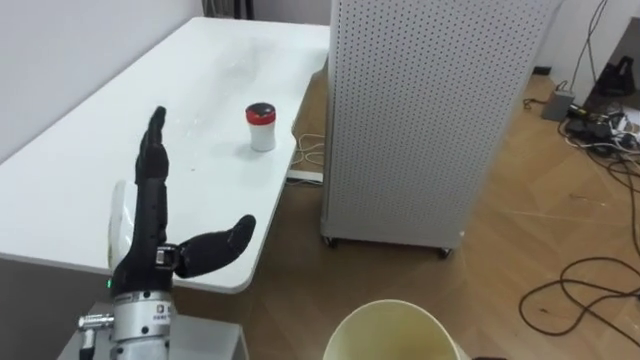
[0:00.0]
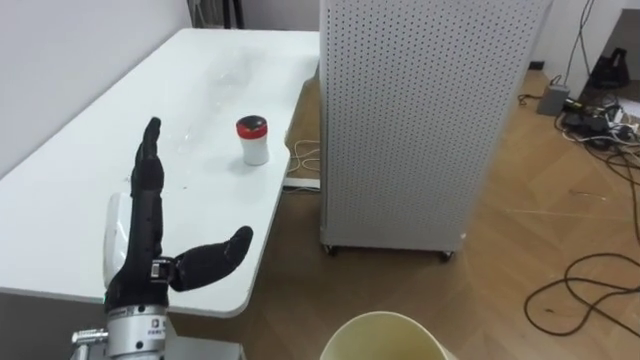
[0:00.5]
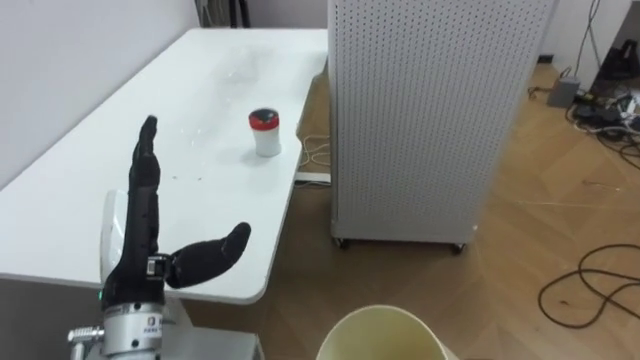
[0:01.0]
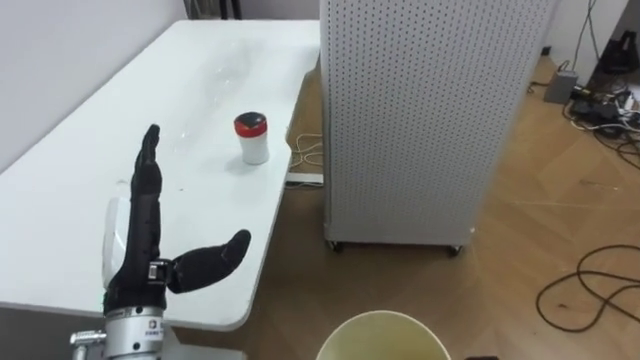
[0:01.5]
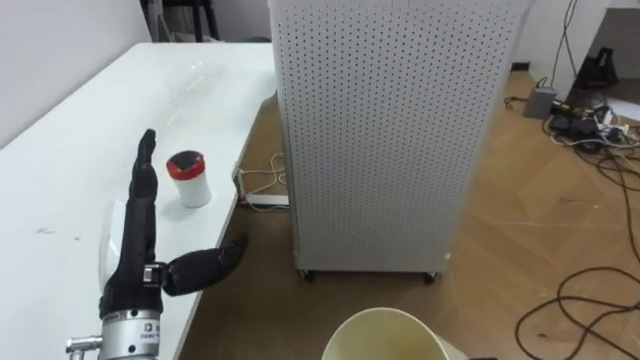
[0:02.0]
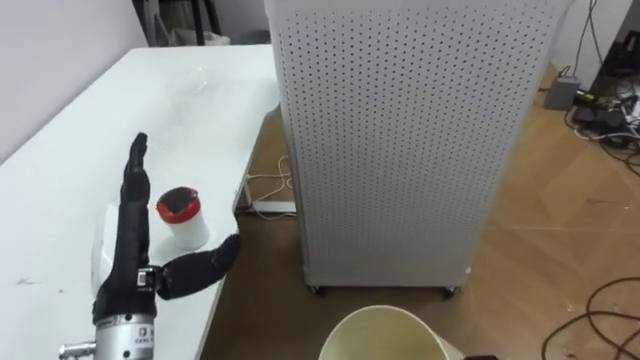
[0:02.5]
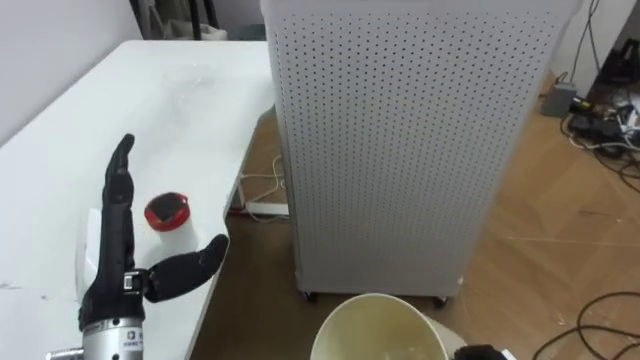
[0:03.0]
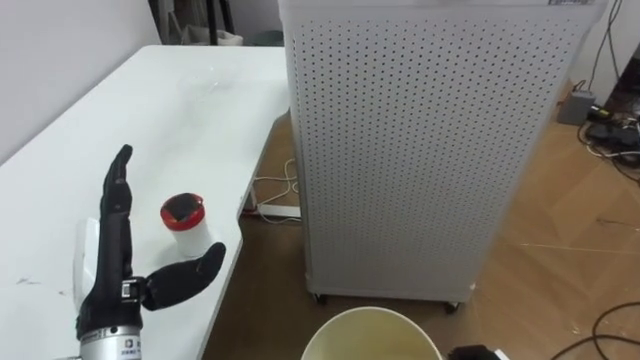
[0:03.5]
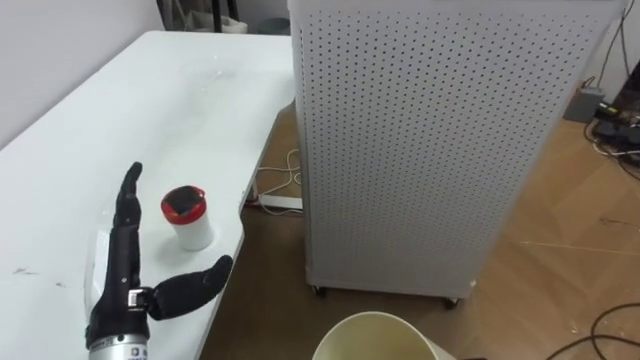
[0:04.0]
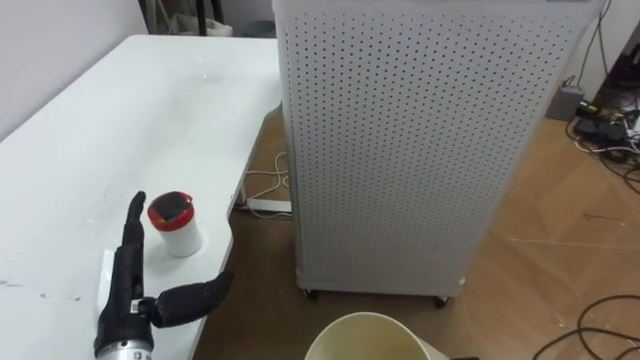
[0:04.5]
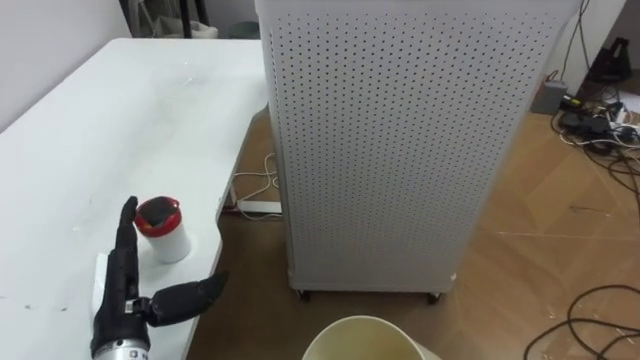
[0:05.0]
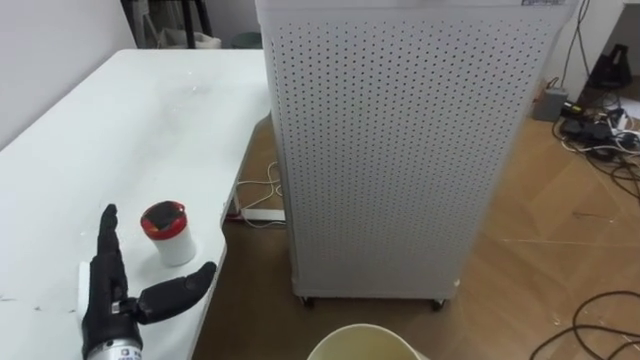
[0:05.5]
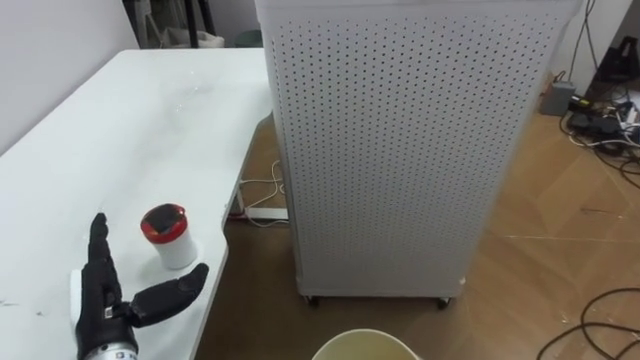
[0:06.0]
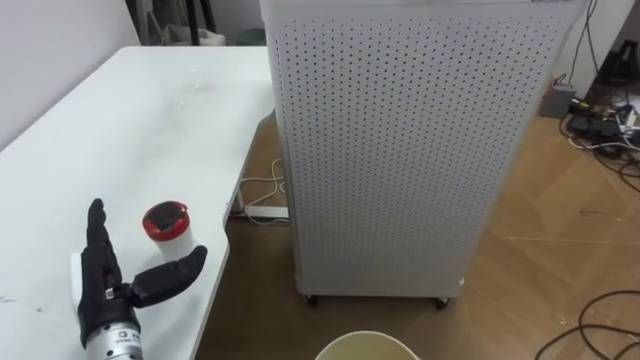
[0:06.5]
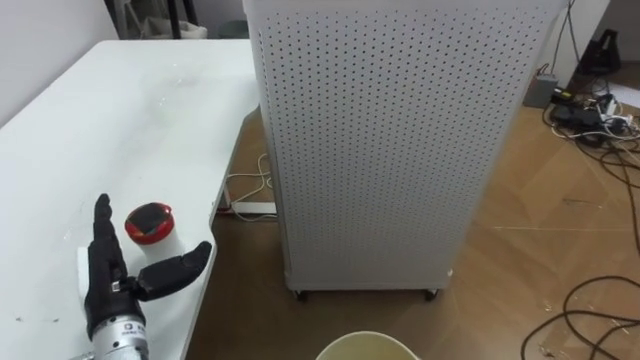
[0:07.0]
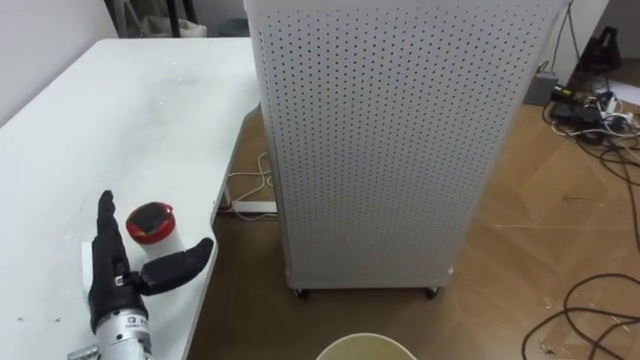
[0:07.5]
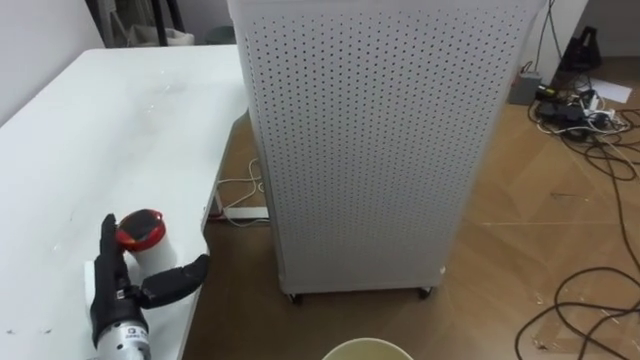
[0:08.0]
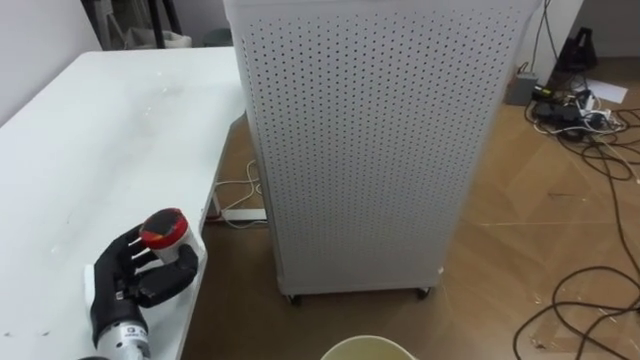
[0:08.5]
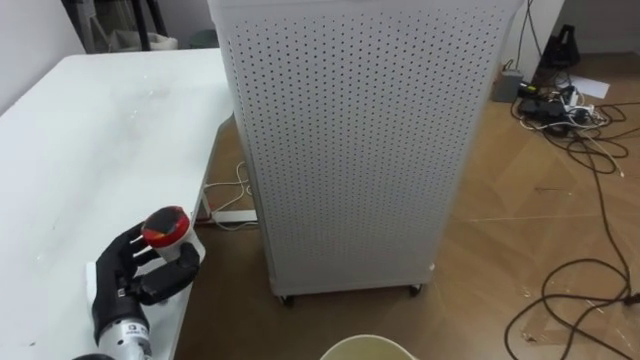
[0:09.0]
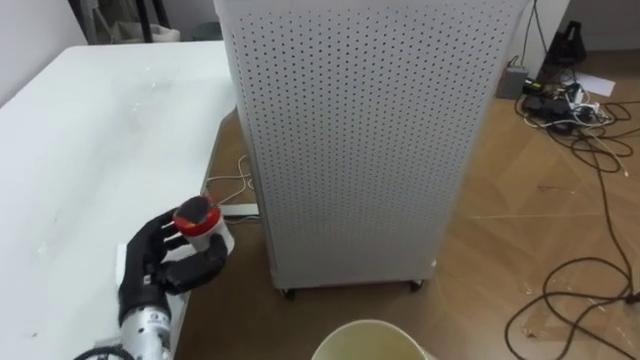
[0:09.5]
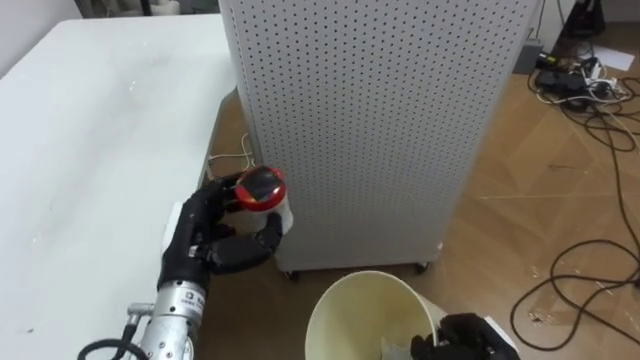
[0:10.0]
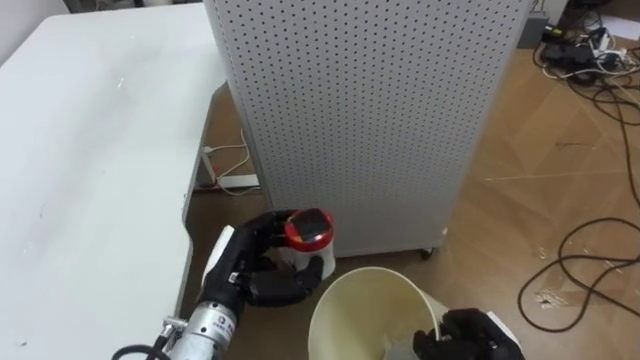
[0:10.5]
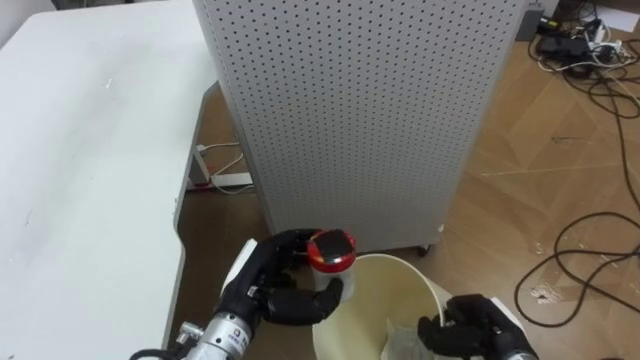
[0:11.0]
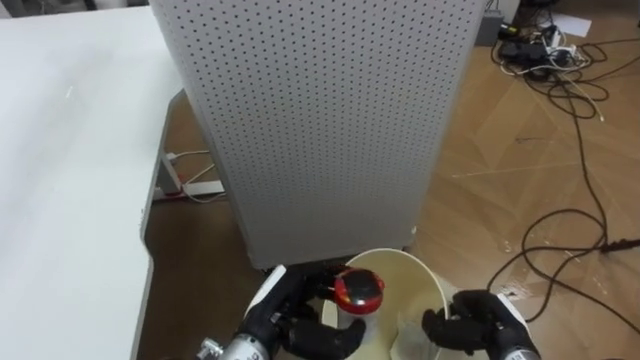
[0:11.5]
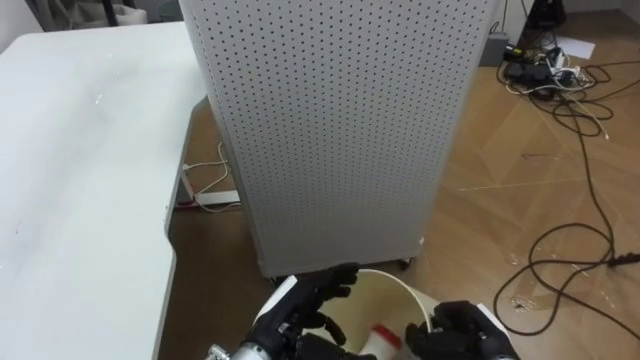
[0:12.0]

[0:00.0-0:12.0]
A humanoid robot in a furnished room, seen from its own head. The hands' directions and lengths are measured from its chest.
Task of the whole recording: Pick up the light blue package, the candy box, and the dark blue package separately, and put them into the trash can held in your right hand.
0:04.0 to 0:06.0: The left hand travels downward by approximately 5 cm.
0:08.0 to 0:10.0: The left hand shifts roughly 10 cm to the right and upward, and closes its fingers.
0:10.0 to 0:12.0: The left hand is displaced to the right, downward and backward by roughly 15 cm.

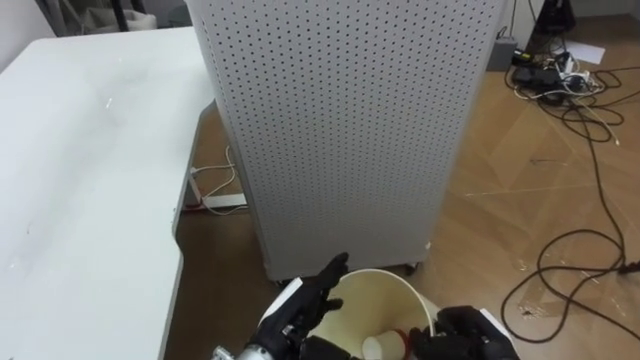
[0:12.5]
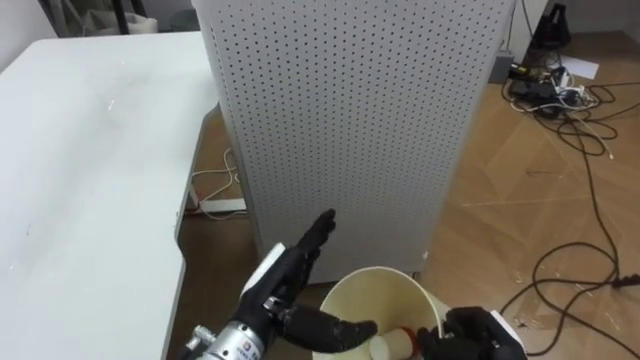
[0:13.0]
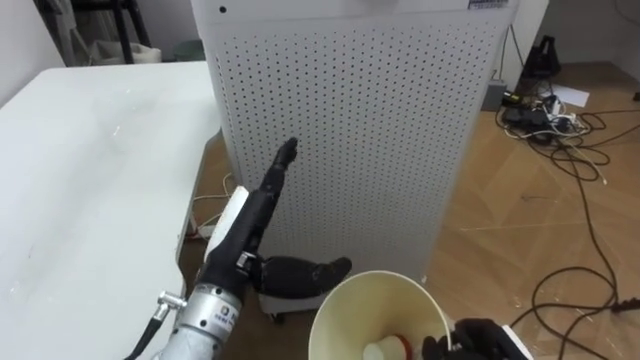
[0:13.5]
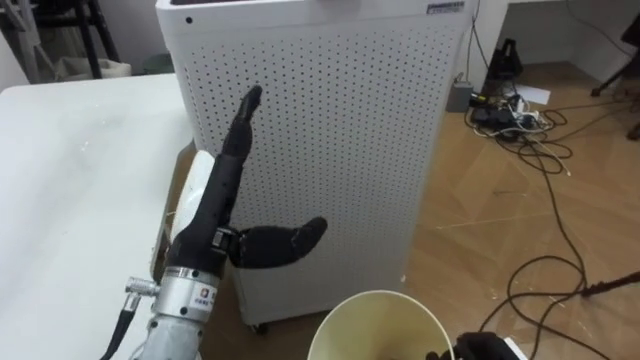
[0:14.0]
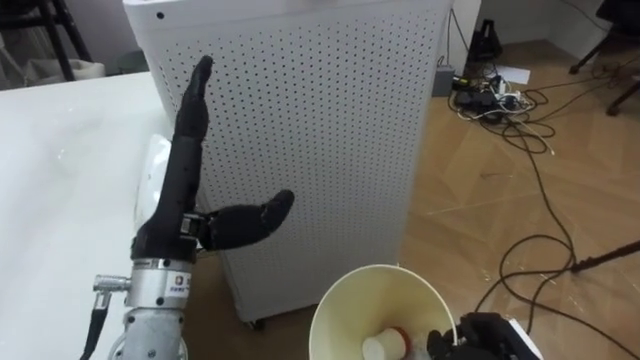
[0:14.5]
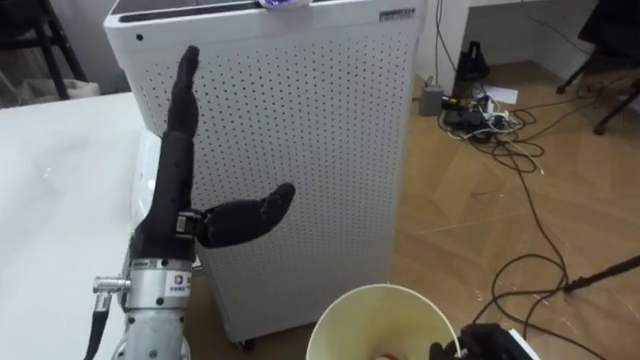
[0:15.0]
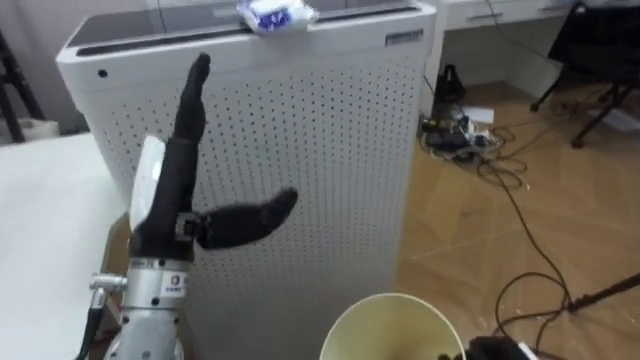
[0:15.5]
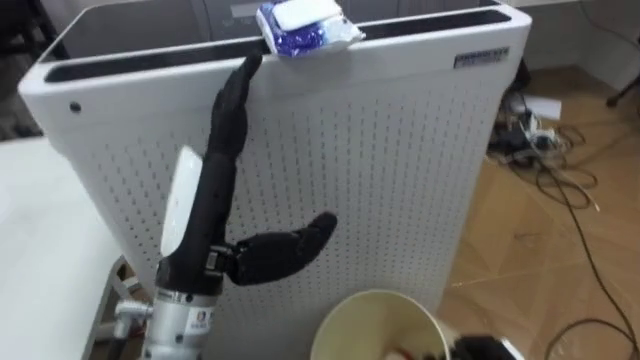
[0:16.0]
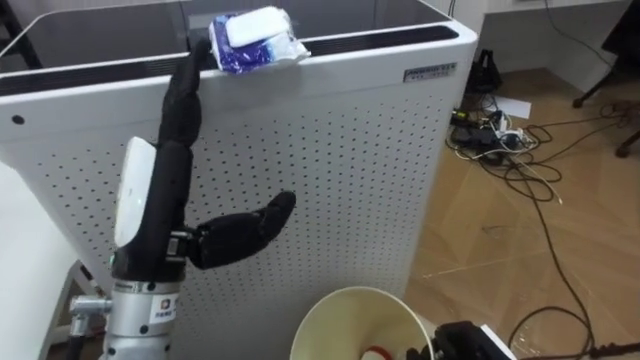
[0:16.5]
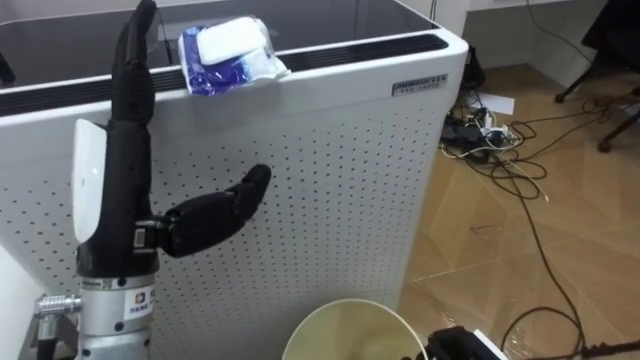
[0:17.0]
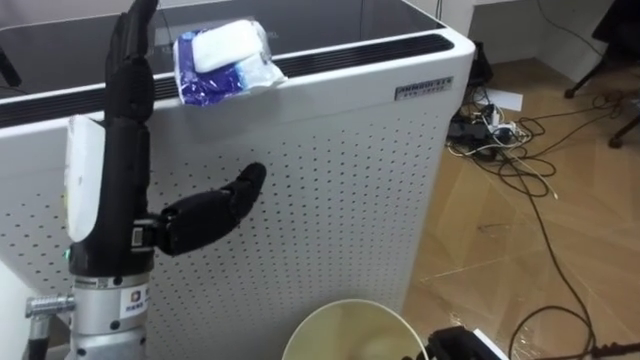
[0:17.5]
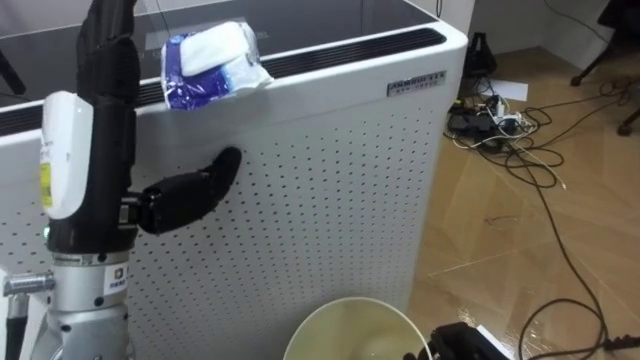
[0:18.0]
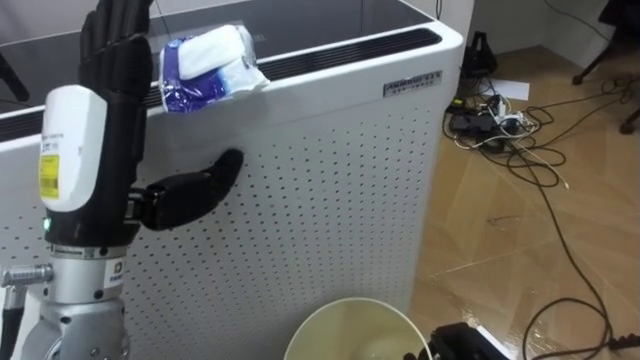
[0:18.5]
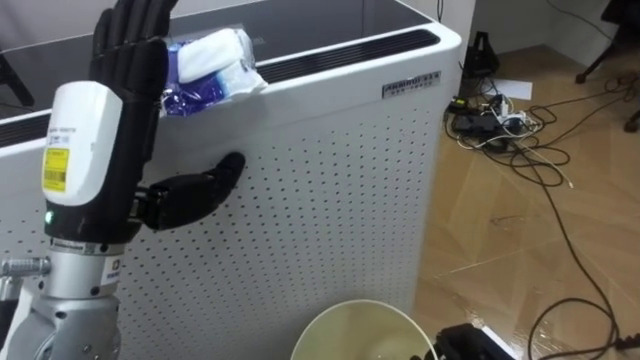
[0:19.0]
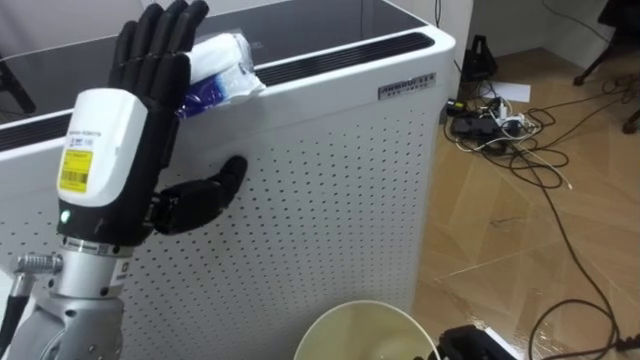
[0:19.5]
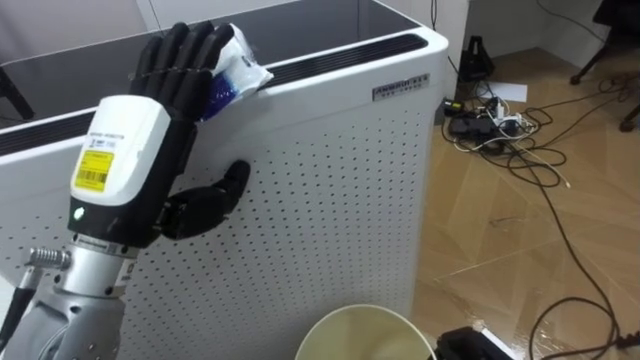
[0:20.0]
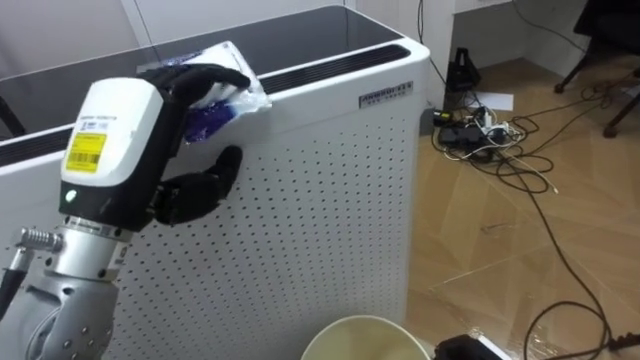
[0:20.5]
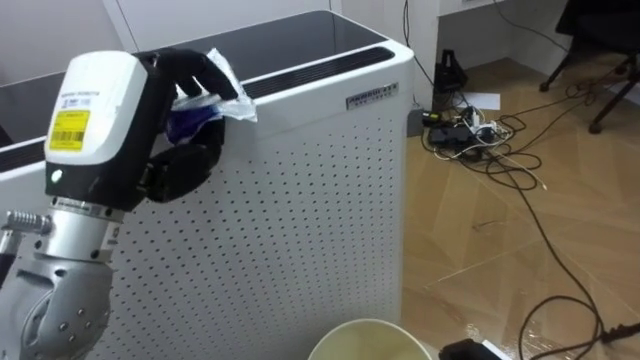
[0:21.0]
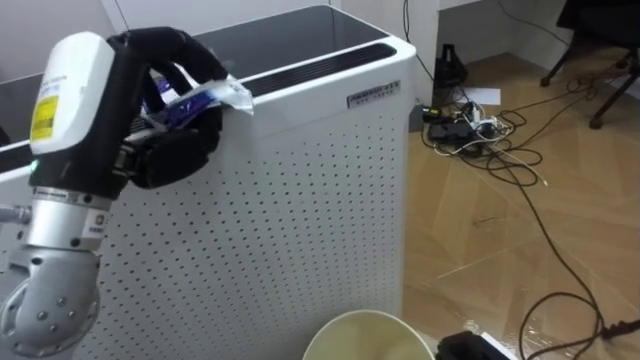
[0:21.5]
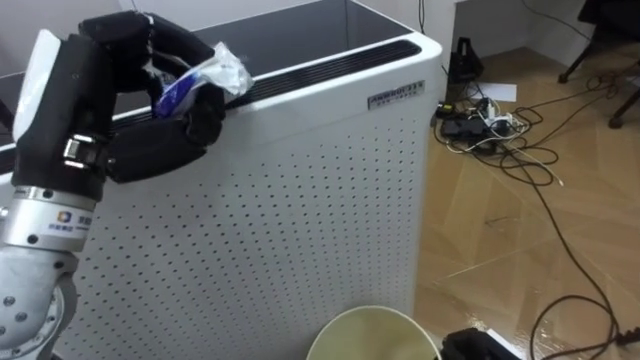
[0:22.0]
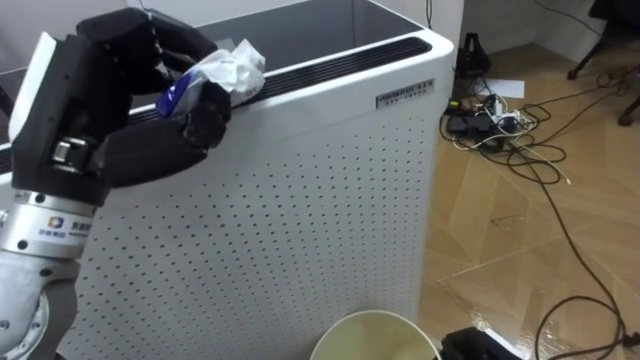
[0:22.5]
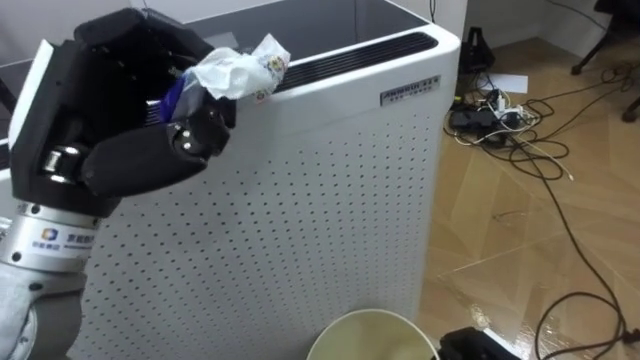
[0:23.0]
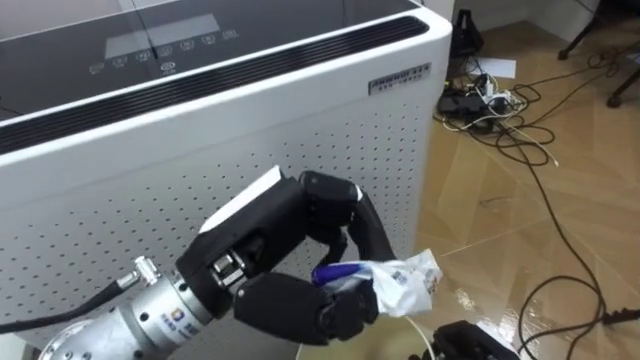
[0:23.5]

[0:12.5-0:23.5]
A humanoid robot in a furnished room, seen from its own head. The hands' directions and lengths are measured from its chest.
Task of the whole recording: Pick up the light blue package, the candy box, and the dark blue package separately, and put them into the trash can held in your right hand.
0:12.5 to 0:14.5: The left hand travels upward and to the left by some 20 cm.
0:16.0 to 0:18.0: The left hand heads to the left and upward, covering some 10 cm.
0:20.0 to 0:21.5: The left hand closes up.
0:21.5 to 0:23.5: The left hand heads to the right and downward, covering some 15 cm.
